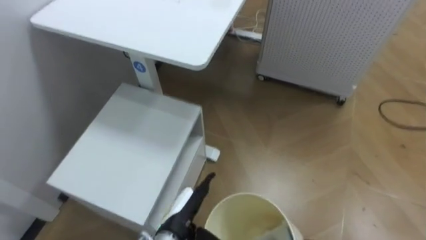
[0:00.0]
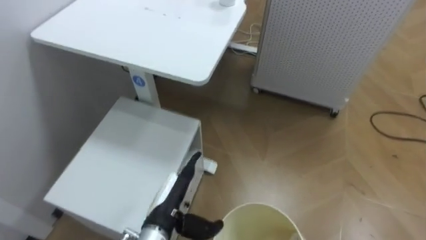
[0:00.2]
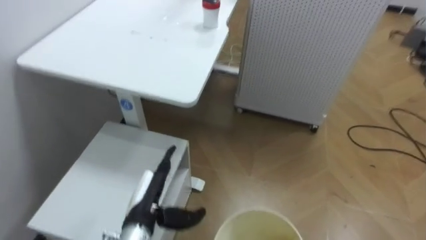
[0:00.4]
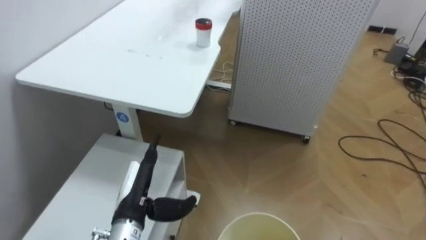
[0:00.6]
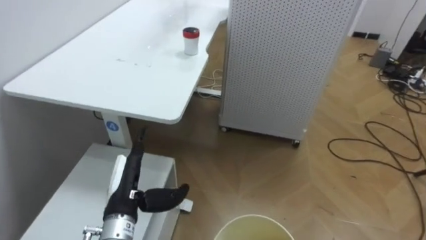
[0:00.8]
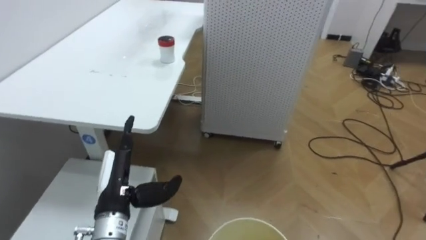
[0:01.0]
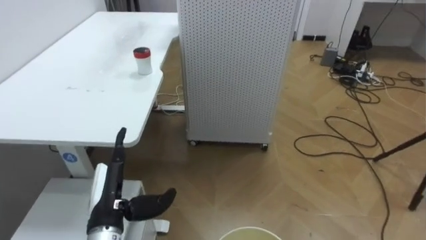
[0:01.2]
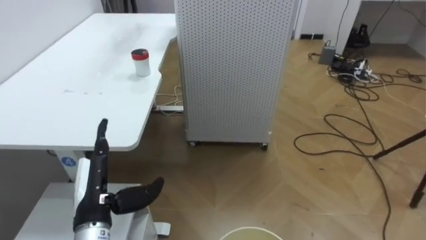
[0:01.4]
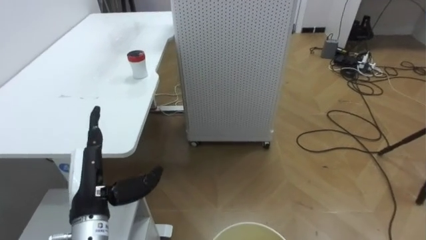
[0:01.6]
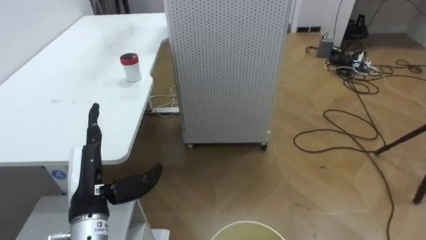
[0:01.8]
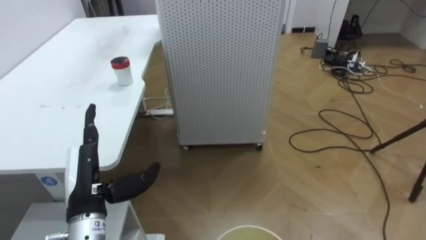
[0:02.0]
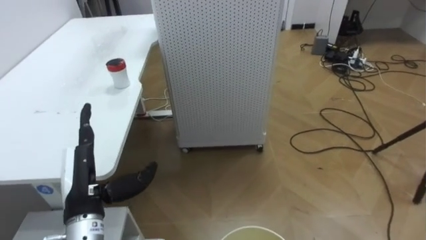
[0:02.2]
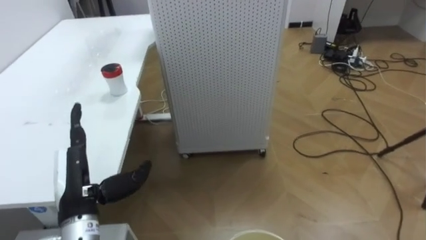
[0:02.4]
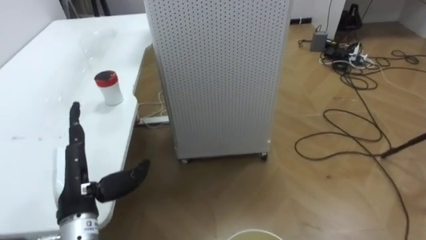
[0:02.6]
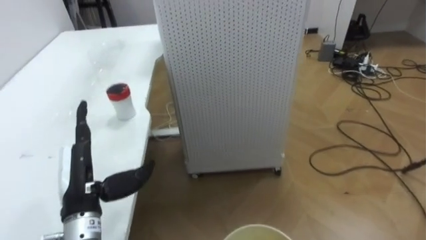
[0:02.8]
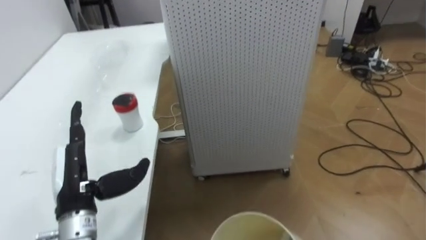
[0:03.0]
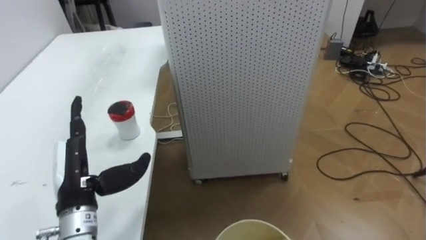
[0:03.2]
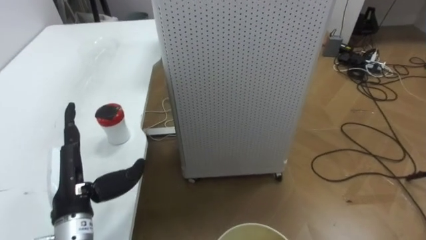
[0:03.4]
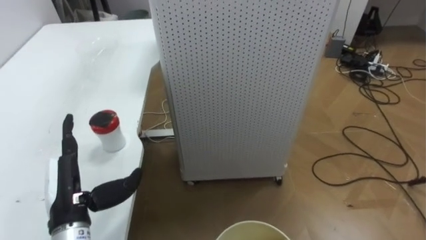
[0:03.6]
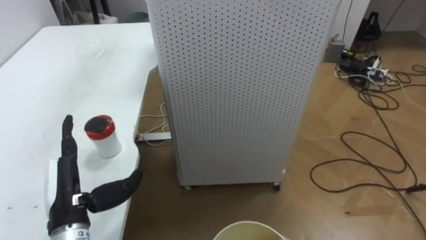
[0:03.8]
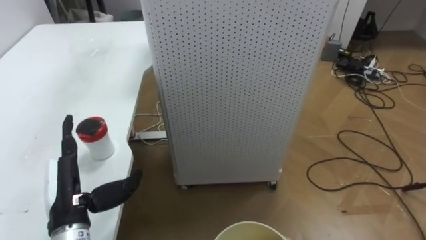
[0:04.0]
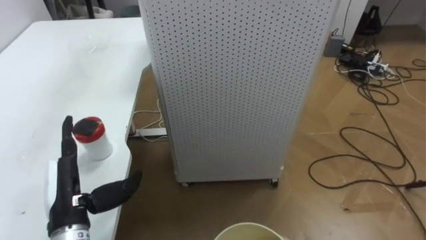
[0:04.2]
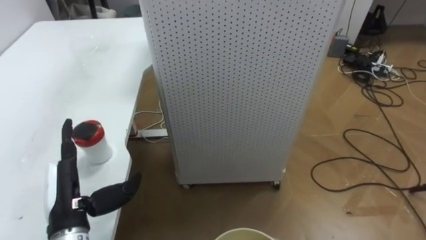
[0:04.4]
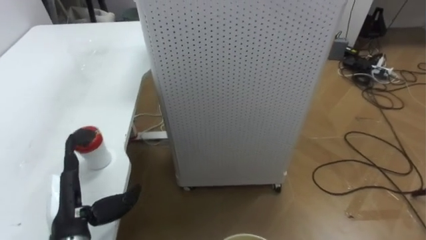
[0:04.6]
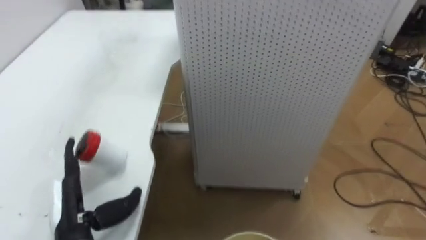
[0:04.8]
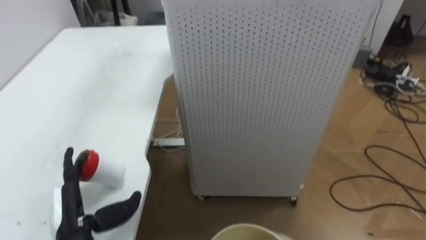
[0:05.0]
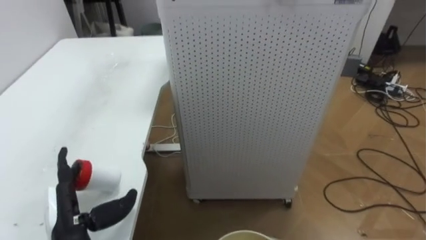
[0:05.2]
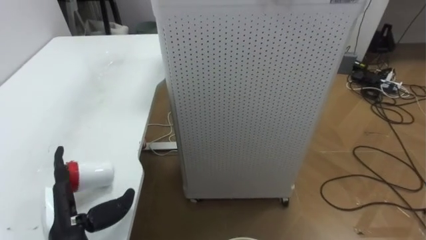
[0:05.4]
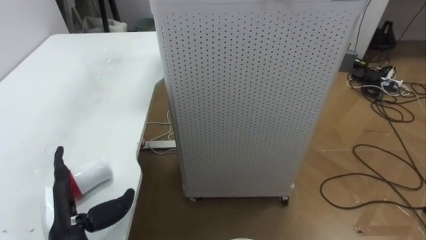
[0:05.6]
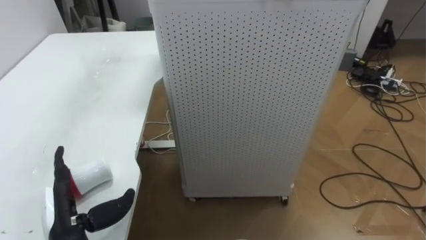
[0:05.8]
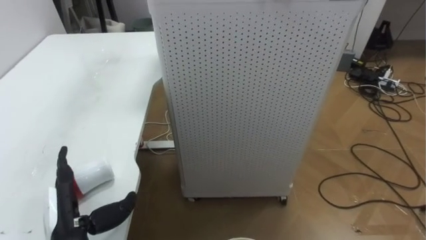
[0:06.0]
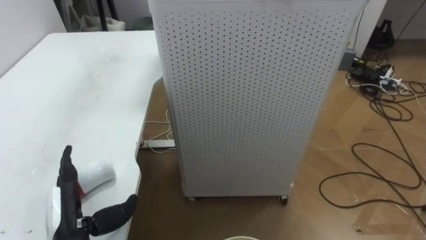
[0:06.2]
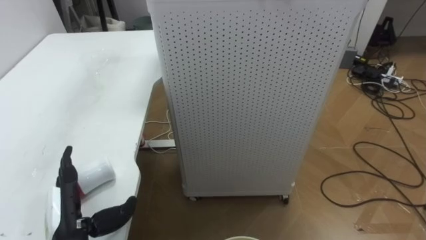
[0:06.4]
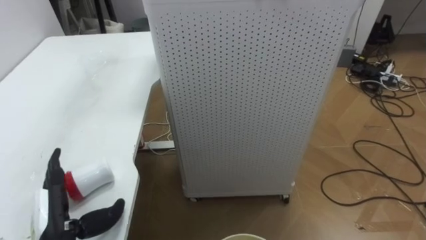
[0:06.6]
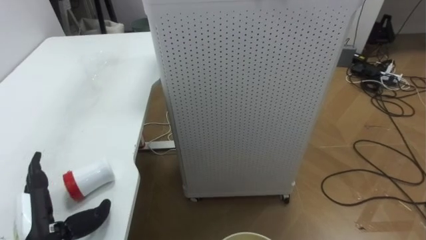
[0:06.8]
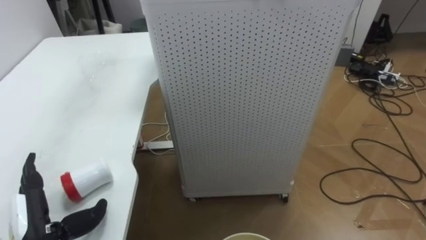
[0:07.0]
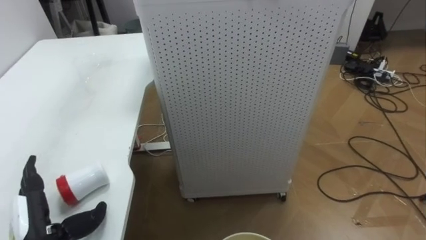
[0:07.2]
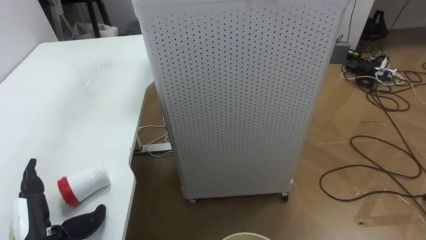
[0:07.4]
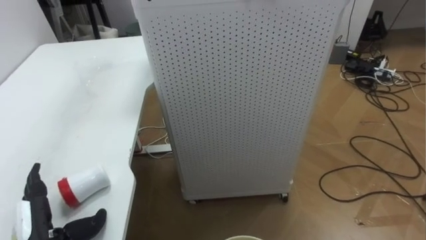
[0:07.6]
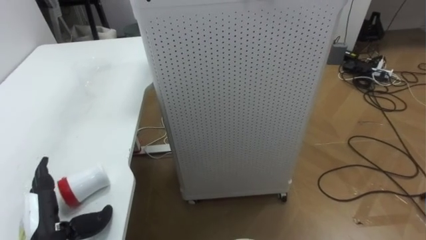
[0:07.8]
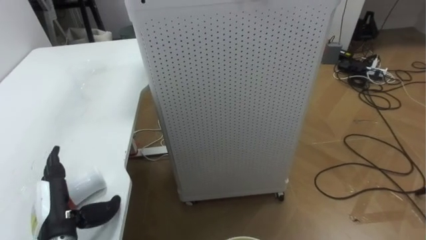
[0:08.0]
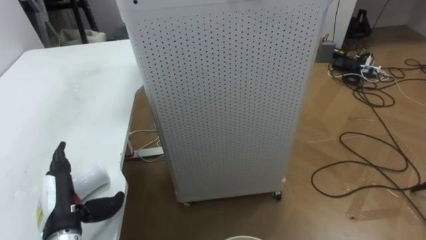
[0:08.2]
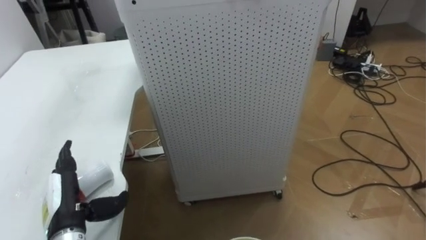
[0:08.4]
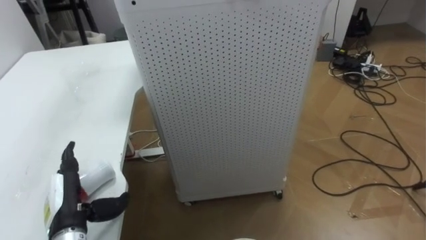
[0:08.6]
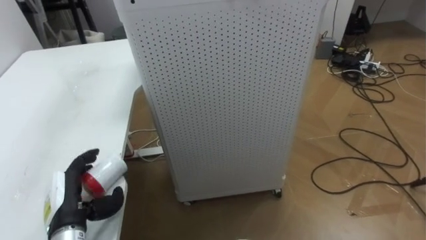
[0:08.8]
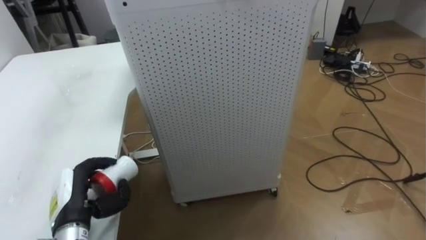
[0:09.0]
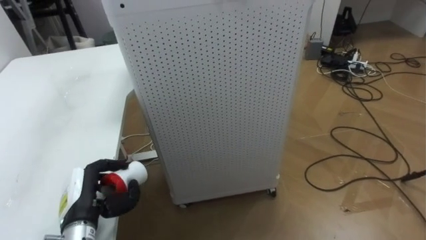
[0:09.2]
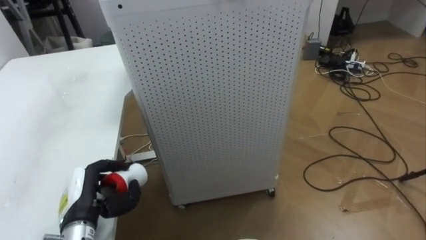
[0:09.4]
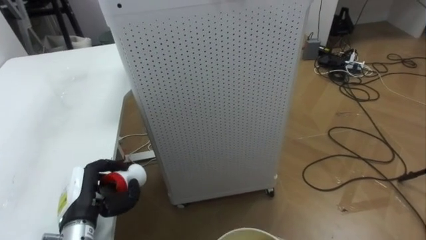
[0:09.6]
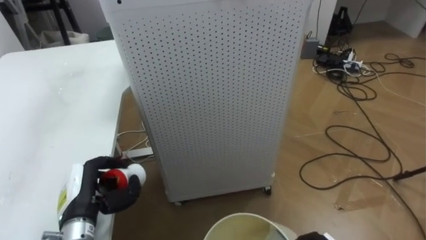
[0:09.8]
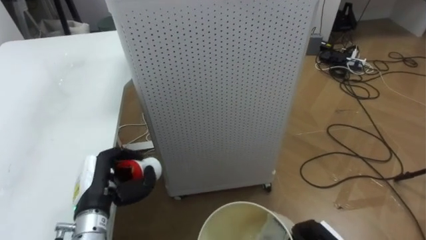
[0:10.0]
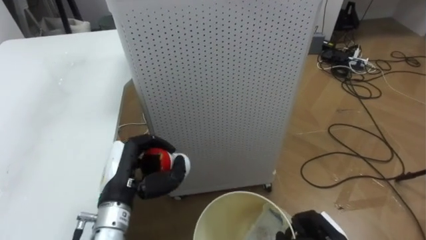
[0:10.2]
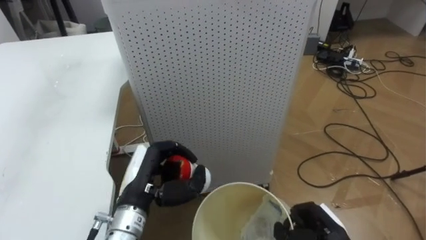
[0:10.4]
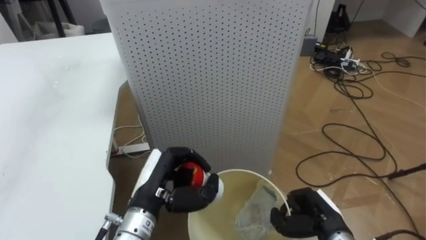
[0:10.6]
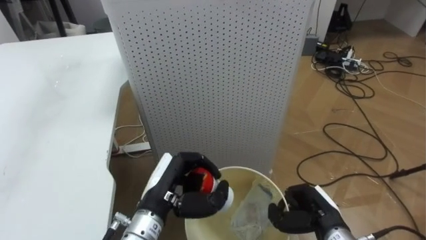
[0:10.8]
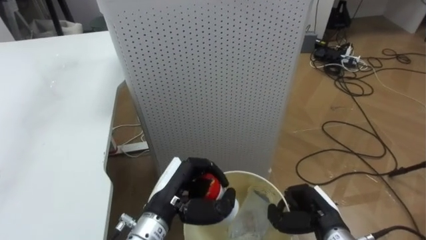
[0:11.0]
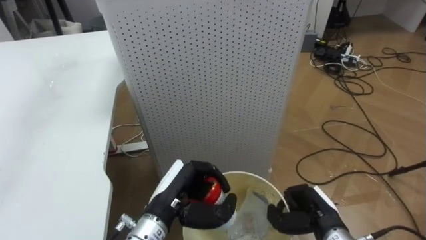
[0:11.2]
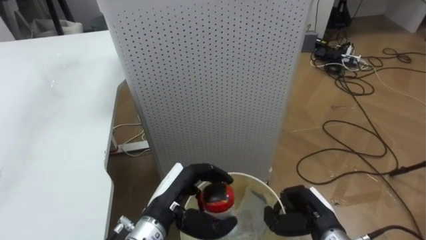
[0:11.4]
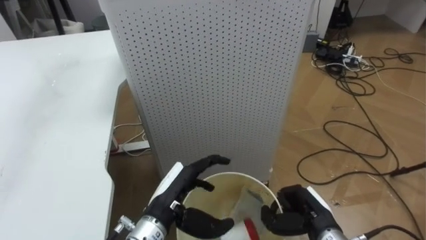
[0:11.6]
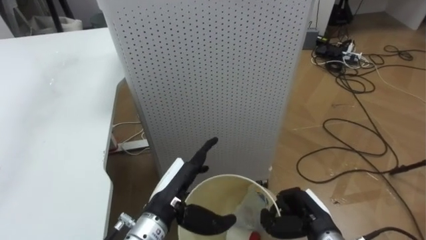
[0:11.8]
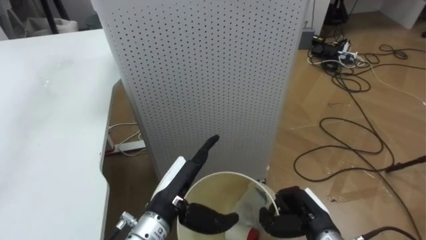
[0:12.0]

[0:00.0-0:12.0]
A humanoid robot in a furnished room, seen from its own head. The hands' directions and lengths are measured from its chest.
Task of the whole recording: Pick up the light blue package, the candy box, and the dark blue package separately, and put them into the trash can held in your right hand.
0:00.0 to 0:01.6: The robot's body swings some 25 degrees to its right. The left hand travels to the left and upward by some 20 cm.
0:06.0 to 0:07.6: The left hand ends up approximately 5 cm from where it was.
0:07.6 to 0:09.0: The left hand moves forward, approximately 5 cm, and closes.
0:09.0 to 0:10.4: The left hand shifts about 15 cm to the right.
0:10.4 to 0:12.0: The left hand is displaced to the right by some 5 cm, and opens its fingers.

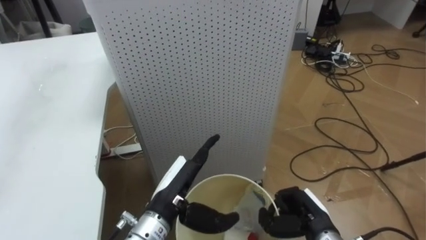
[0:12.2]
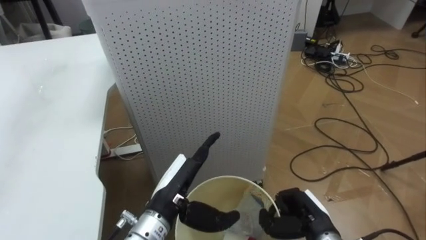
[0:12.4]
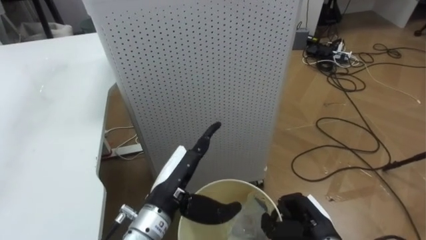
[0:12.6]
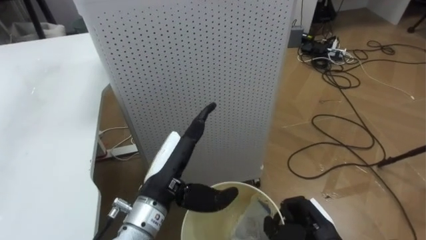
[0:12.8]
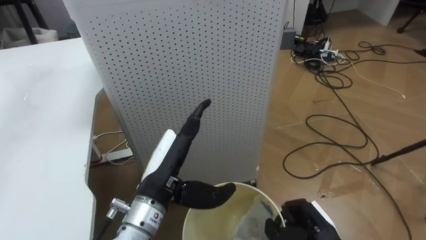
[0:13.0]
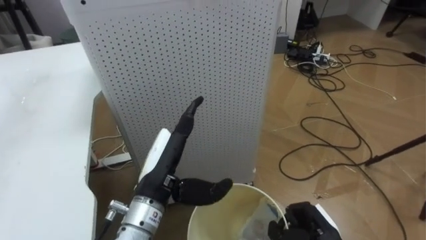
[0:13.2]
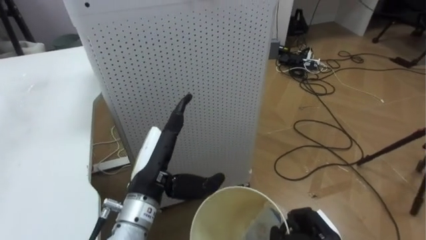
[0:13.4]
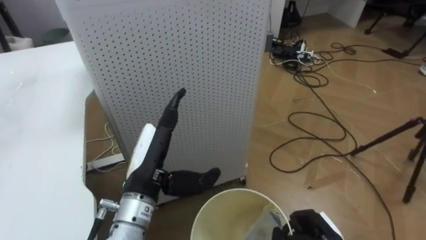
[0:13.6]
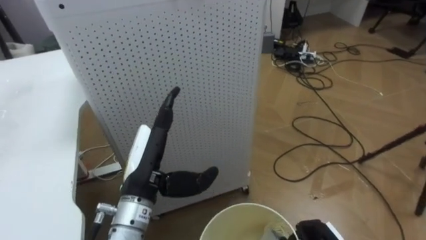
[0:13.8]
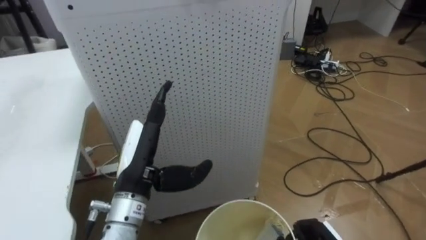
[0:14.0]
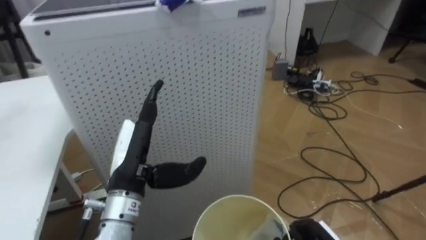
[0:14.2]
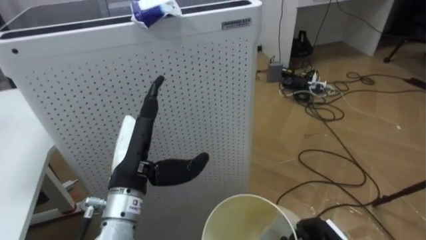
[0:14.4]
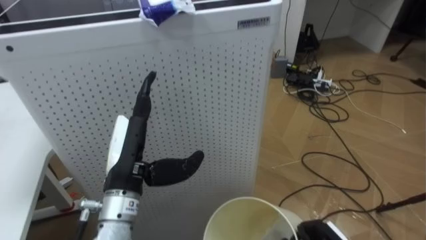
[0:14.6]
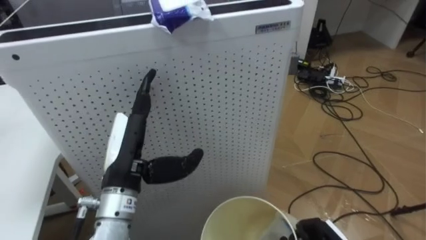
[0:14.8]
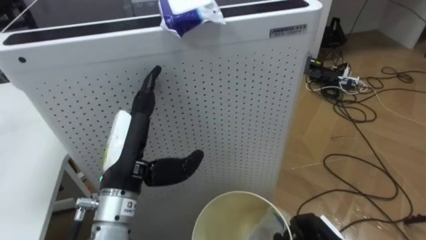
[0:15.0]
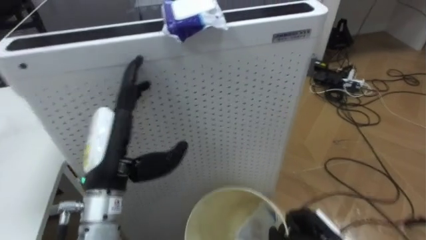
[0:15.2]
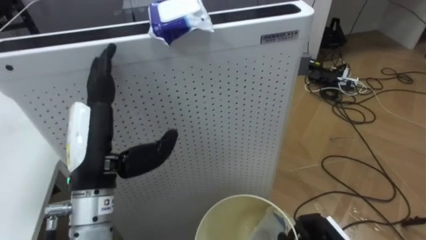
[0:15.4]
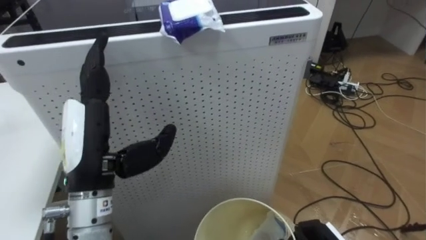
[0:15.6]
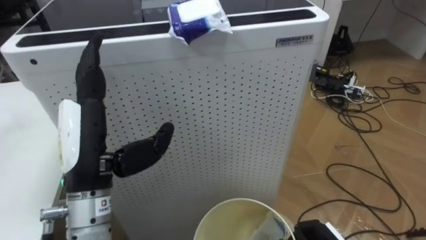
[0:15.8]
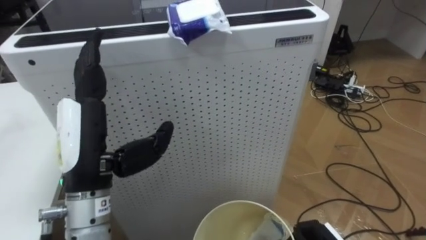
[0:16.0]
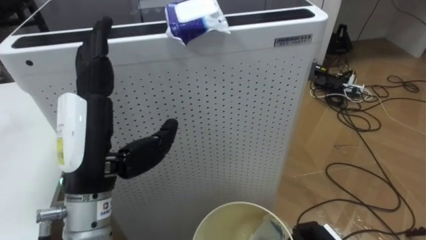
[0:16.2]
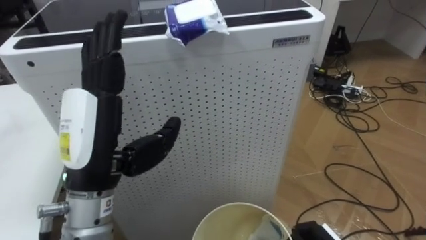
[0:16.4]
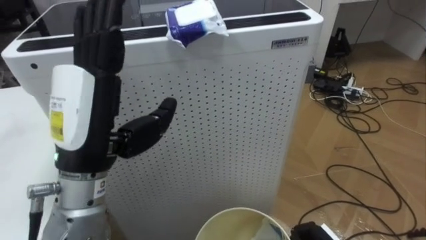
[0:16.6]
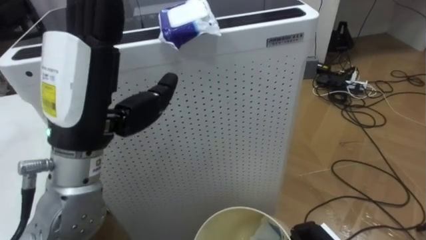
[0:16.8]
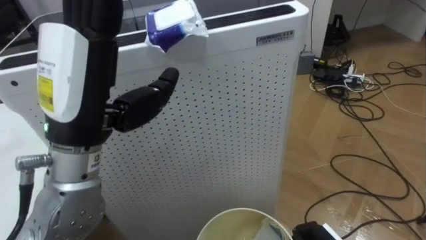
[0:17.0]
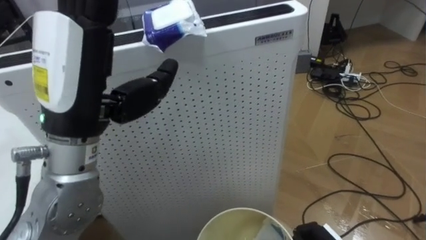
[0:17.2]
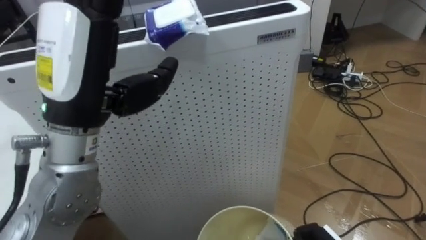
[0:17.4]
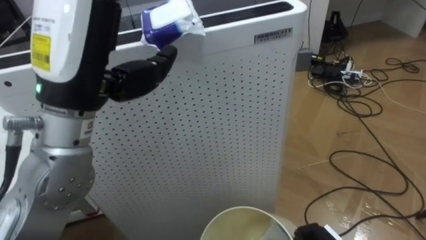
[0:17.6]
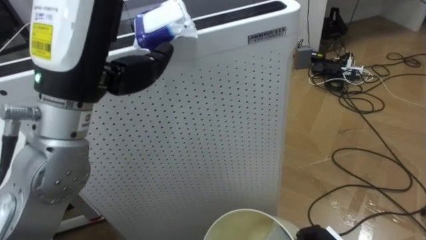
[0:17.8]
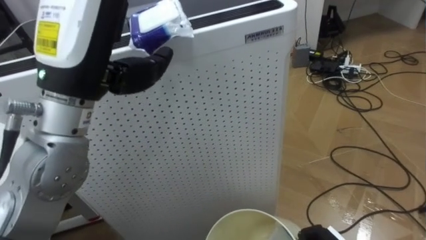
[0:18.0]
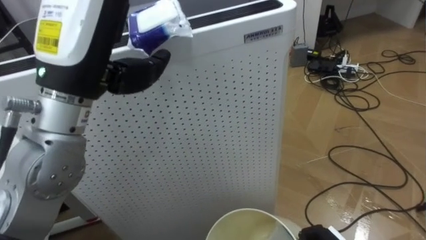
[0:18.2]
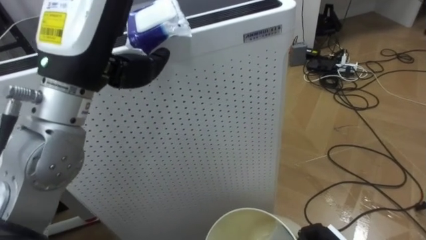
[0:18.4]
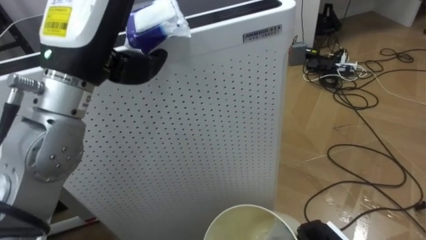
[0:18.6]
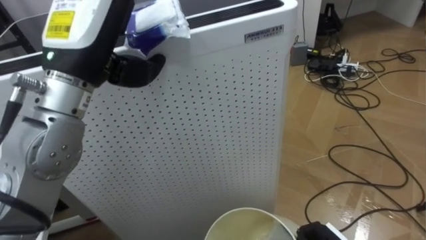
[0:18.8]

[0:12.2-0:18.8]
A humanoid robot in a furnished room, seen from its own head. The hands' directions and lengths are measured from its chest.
Task of the whole recording: Pick up the light blue package, the candy box, and the dark blue package separately, and put them into the trash can held in your right hand.
0:12.2 to 0:13.8: The left hand moves upward, roughly 5 cm.
0:13.8 to 0:15.4: The left hand shifts approximately 10 cm upward and to the left.
0:15.4 to 0:17.2: The left hand goes approximately 10 cm upward.
0:17.2 to 0:18.8: The left hand travels forward by about 5 cm.
